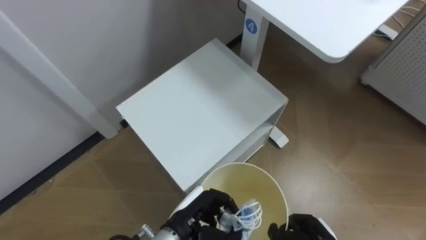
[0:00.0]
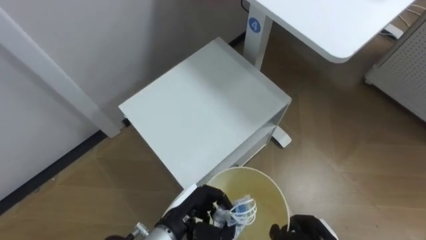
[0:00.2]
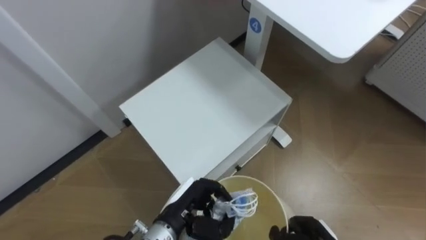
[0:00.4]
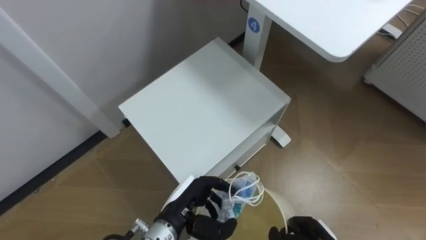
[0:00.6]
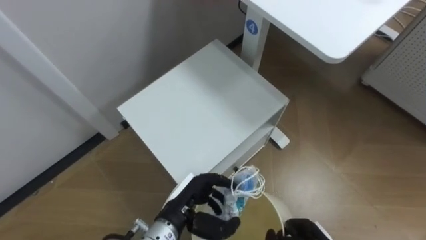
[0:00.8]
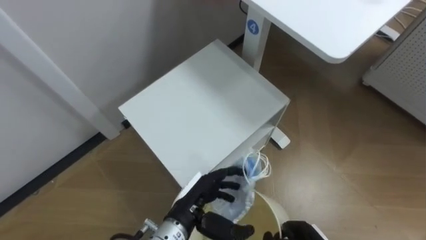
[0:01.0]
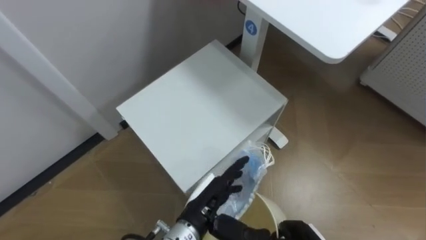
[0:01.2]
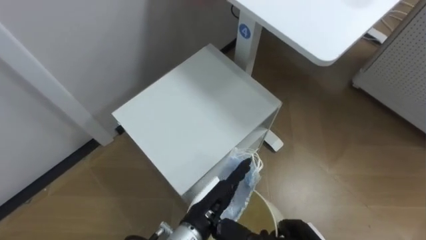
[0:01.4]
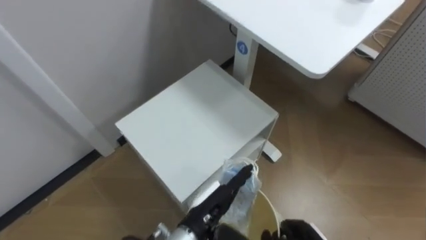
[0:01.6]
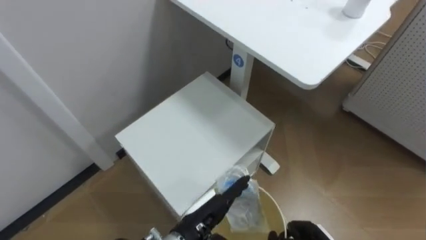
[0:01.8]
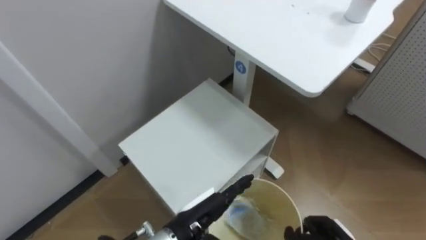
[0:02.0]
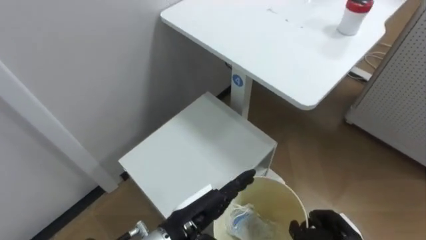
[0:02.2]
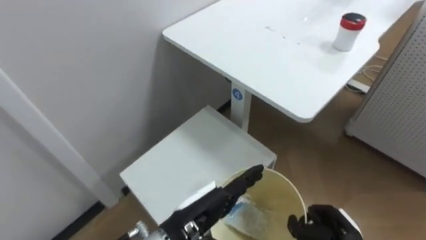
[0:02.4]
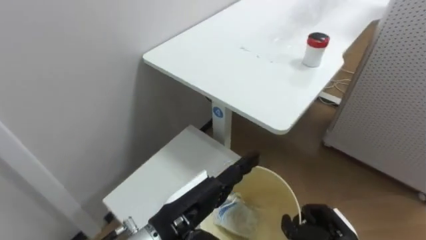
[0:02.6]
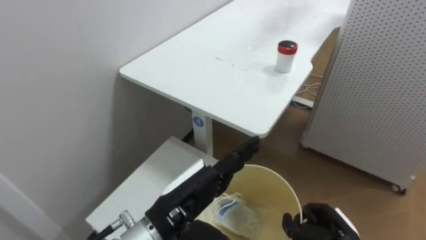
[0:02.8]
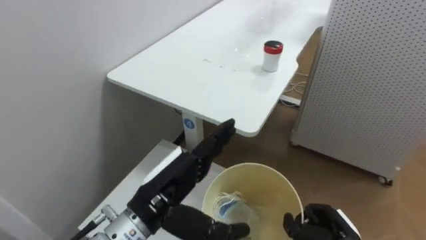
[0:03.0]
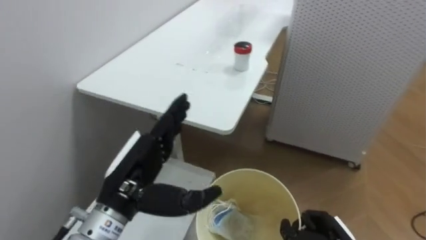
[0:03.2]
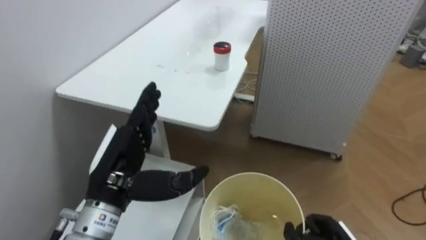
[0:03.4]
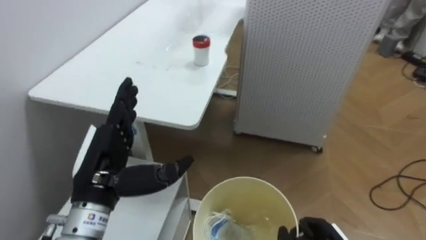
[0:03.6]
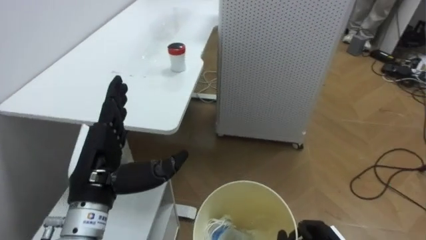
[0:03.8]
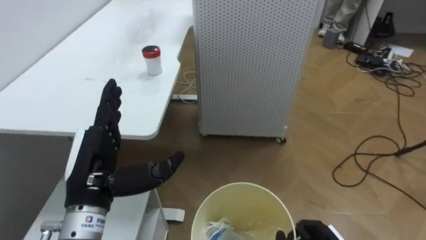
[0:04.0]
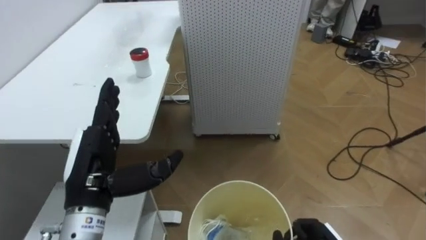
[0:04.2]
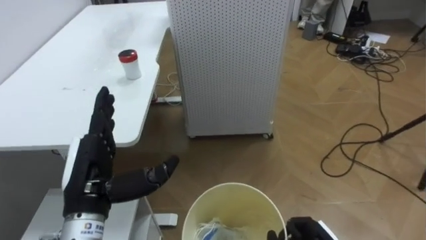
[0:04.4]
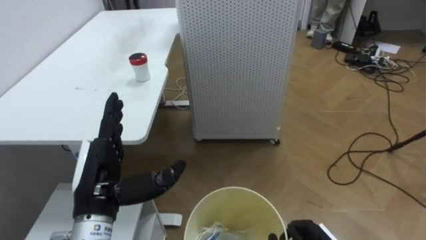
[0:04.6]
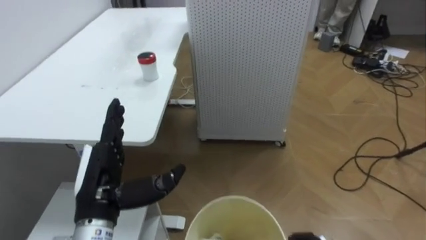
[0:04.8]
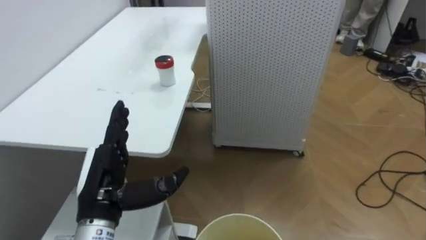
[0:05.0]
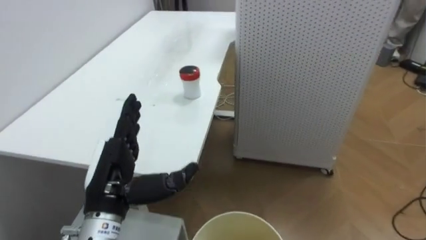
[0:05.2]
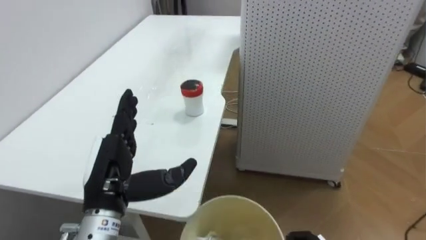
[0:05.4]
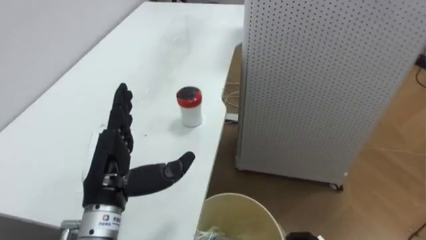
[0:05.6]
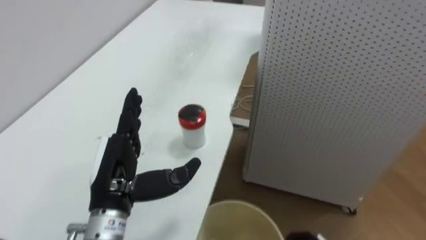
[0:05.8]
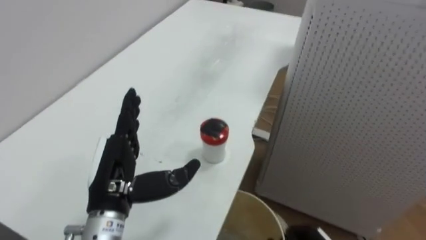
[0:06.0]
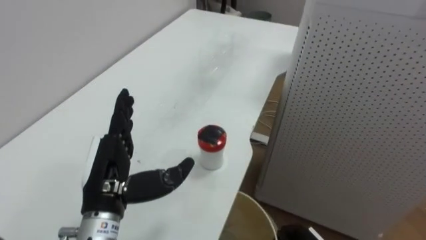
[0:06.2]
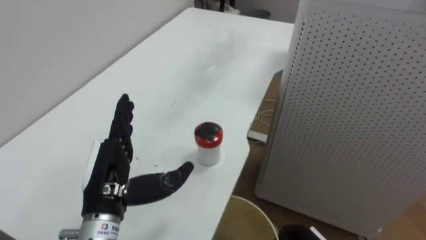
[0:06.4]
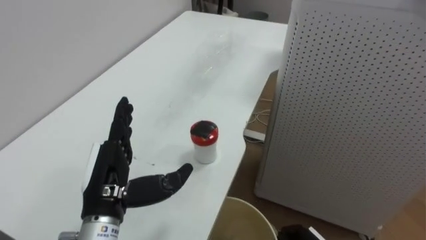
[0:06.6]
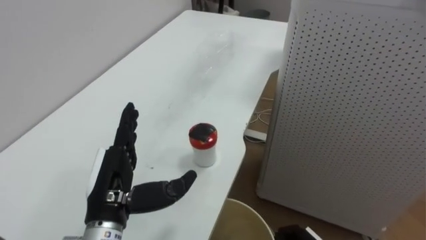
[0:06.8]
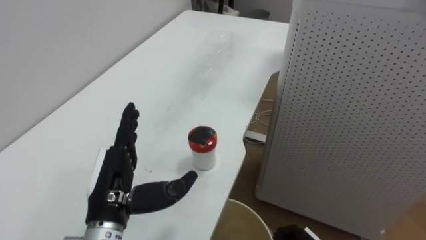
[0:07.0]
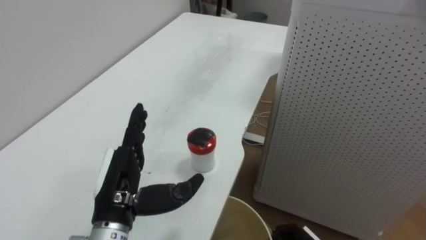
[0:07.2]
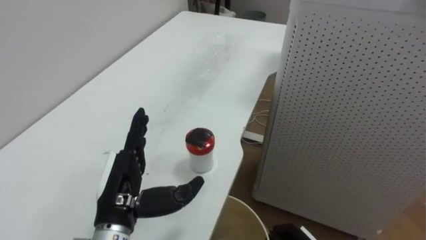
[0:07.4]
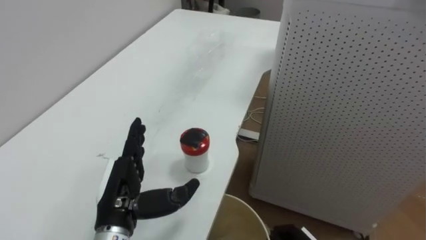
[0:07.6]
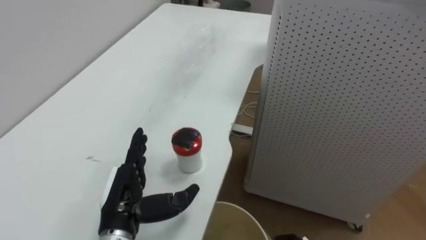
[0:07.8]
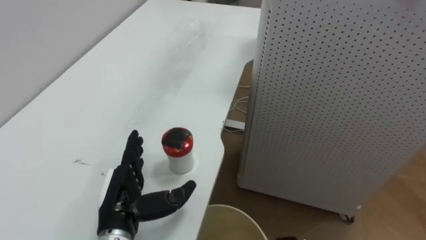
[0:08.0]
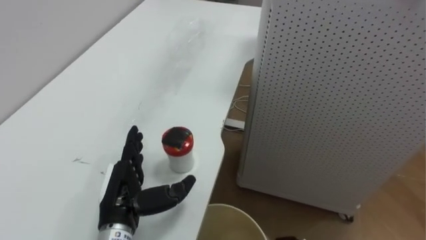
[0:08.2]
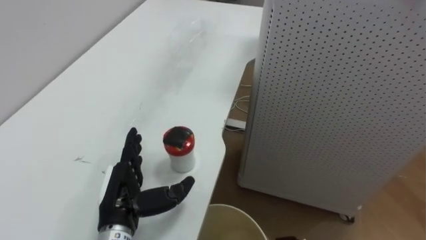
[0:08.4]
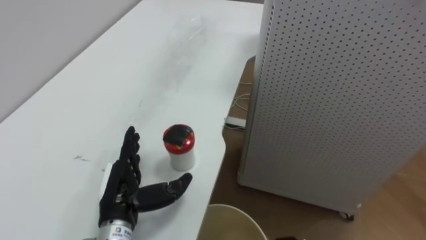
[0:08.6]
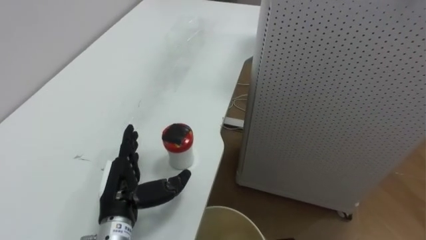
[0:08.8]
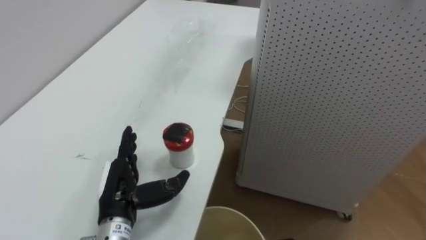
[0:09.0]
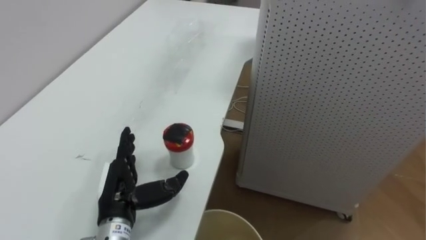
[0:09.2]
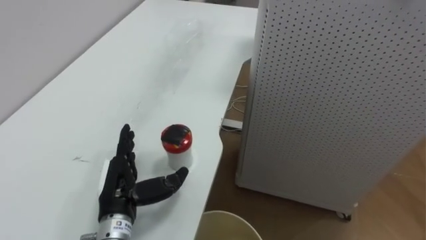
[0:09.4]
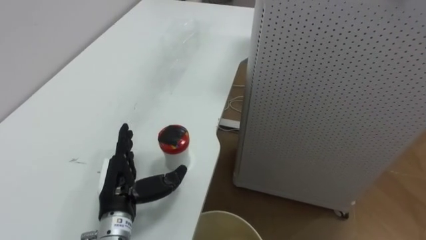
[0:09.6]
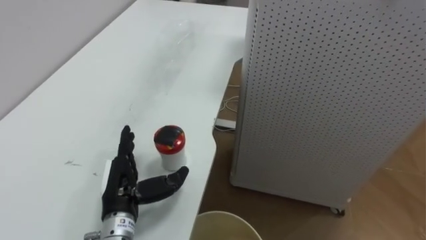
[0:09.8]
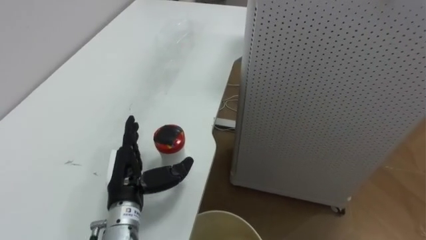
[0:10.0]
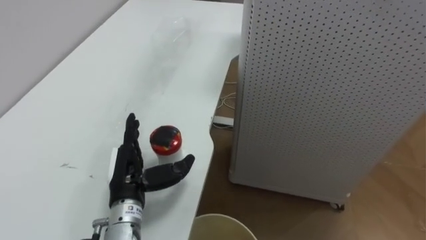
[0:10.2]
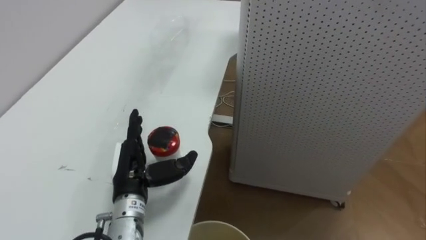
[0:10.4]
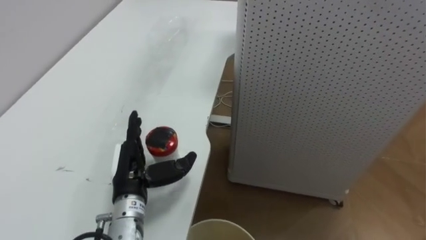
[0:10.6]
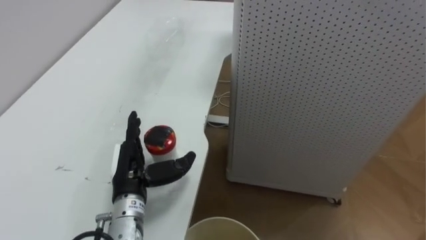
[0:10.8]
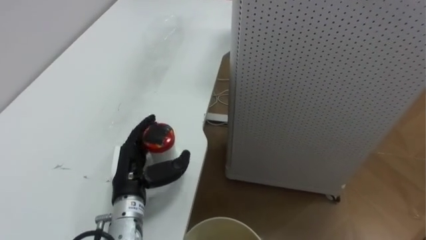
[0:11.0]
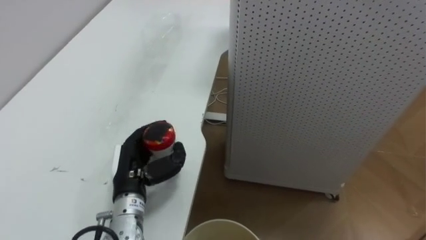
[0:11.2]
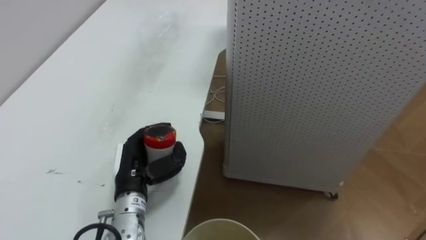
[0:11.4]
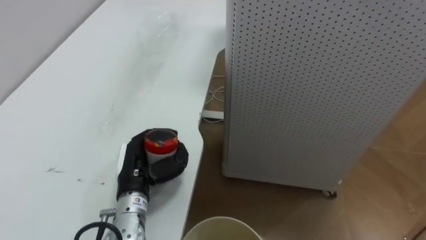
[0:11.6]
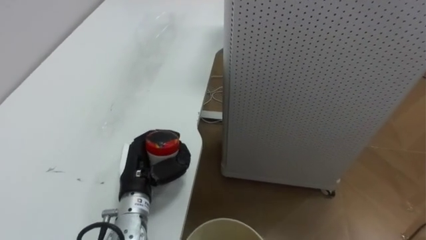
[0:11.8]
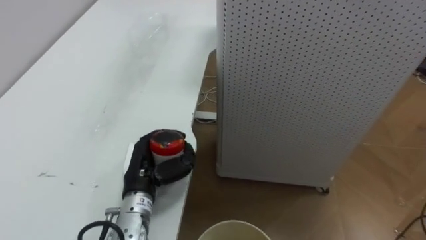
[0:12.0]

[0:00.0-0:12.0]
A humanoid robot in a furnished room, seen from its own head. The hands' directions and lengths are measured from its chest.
Task of the whole recording: Pick up the light blue package, the candy box, and the dark blue package separately, and put them into the trash can held in your right hand.
0:00.0 to 0:01.6: The left hand opens.
0:01.6 to 0:03.0: The left hand shifts about 15 cm upward and to the left.
0:03.0 to 0:04.4: The robot turns to its right by about 40 degrees. The left hand is displaced to the left by approximately 10 cm.
0:04.4 to 0:06.0: The robot rotates about 20 degrees to its left.
0:10.4 to 0:12.0: The left hand closes its fingers.

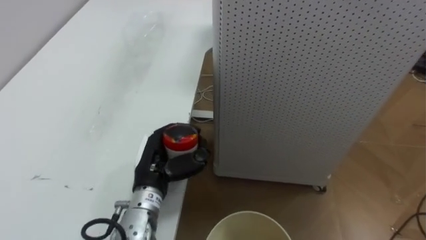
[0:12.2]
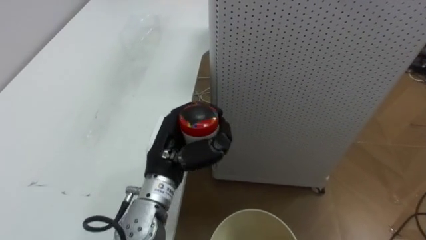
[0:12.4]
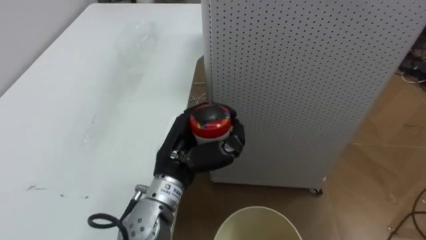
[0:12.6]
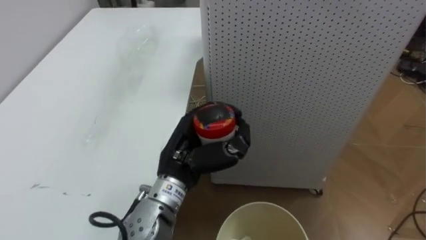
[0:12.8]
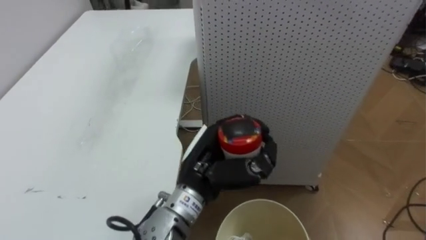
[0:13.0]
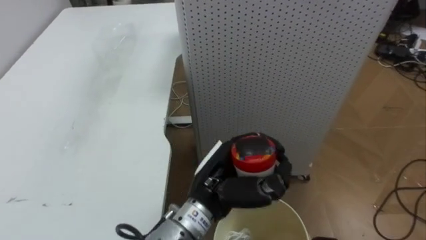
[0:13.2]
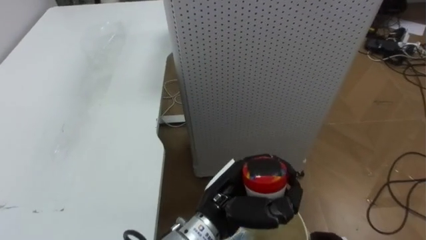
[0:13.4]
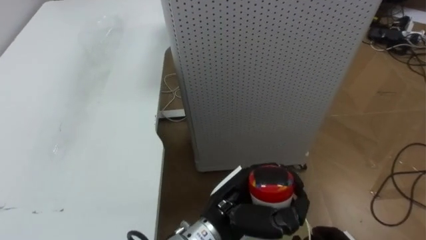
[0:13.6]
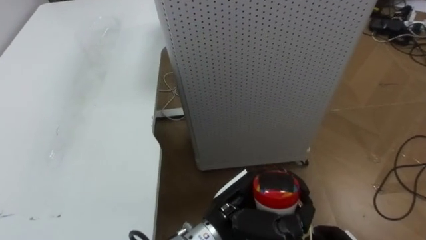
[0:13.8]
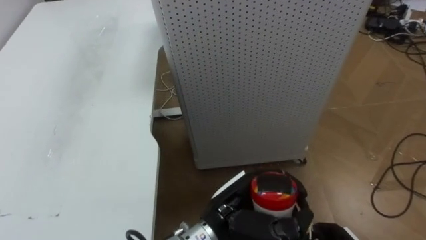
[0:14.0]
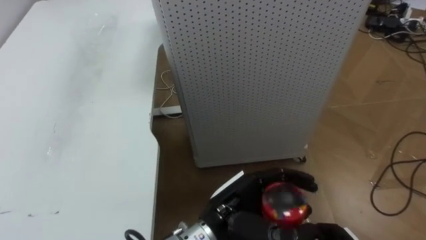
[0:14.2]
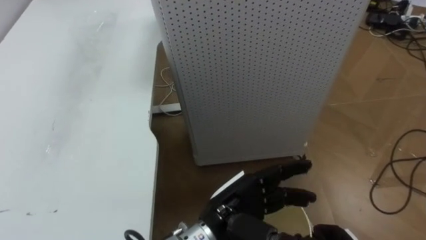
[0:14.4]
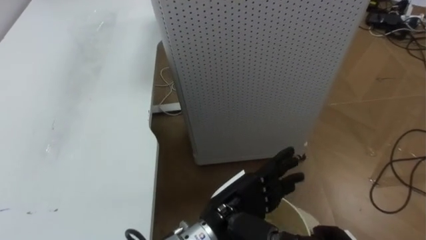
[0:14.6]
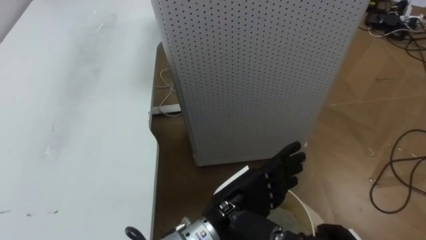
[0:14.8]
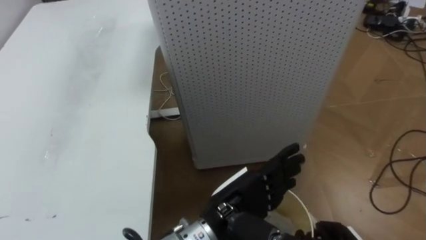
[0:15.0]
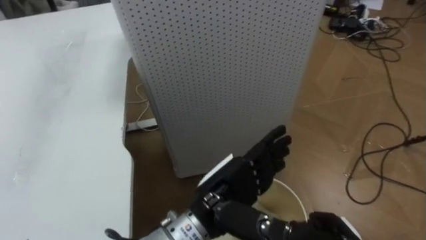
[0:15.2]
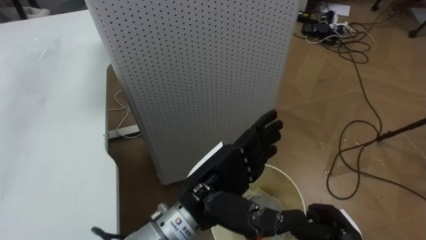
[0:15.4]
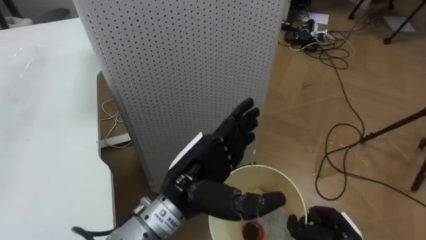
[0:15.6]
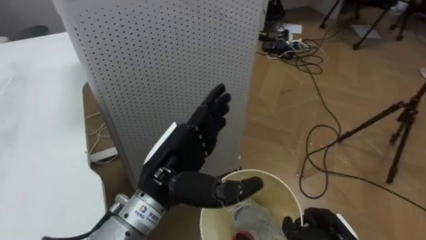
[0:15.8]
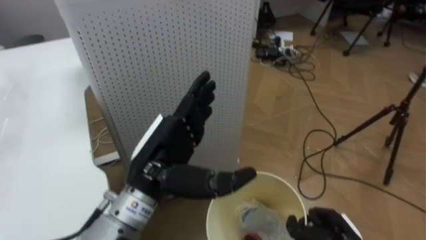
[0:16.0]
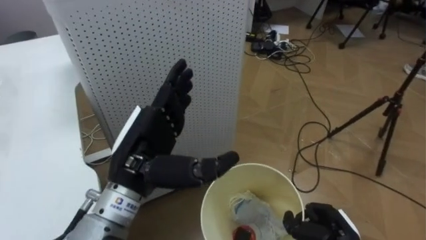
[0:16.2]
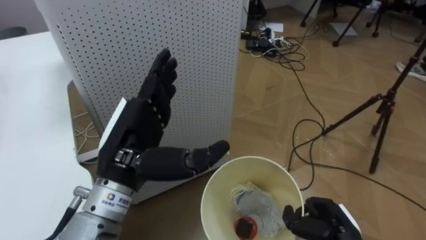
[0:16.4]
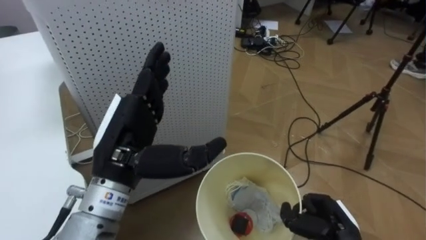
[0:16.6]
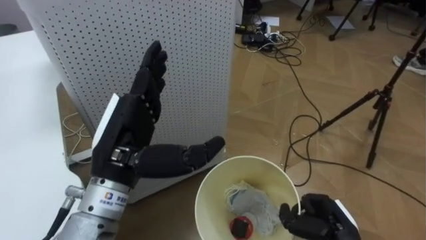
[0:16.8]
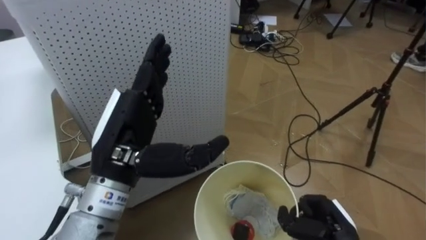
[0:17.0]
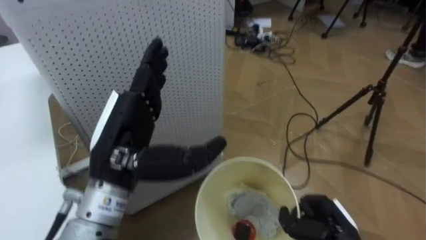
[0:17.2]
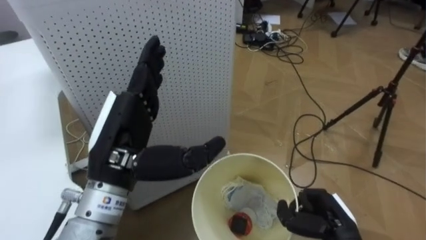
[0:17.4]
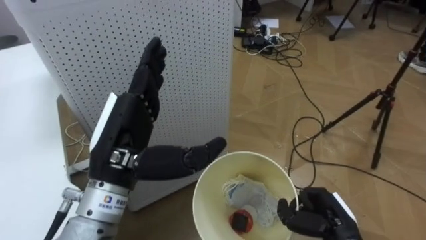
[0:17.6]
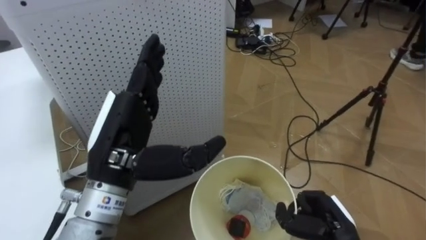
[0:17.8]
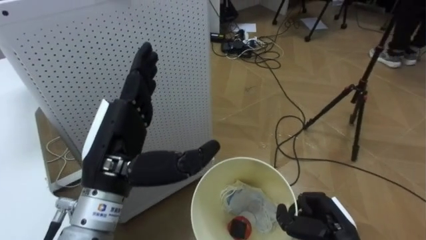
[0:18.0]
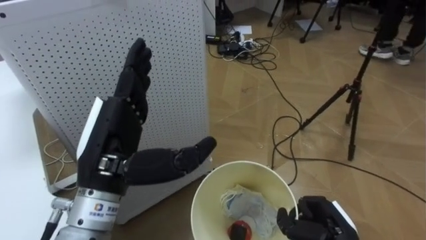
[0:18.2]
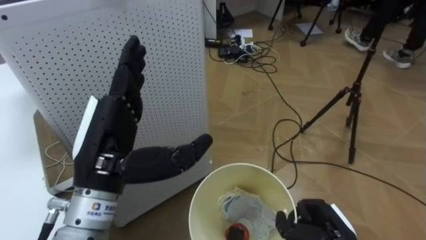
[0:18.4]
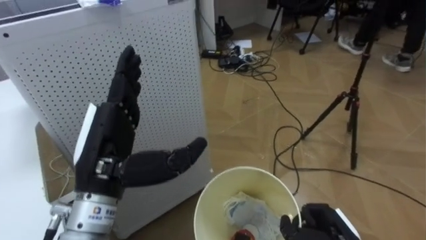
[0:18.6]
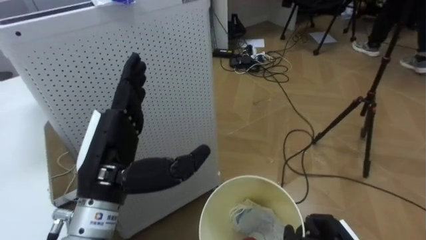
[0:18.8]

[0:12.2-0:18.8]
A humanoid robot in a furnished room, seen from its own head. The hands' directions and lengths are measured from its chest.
Task of the whole recording: Pick up the light blue package, the candy box, and the dark blue package separately, and put them into the trash can held in your right hand.
0:12.2 to 0:13.8: The left hand heads to the right and backward, covering roughly 15 cm.
0:13.8 to 0:15.4: The robot's body swings approximately 15 degrees to its right. The left hand goes roughly 5 cm upward, and opens up.
0:15.4 to 0:17.2: The robot faces about 20 degrees further to its right. The left hand moves to the left and upward, about 15 cm.
